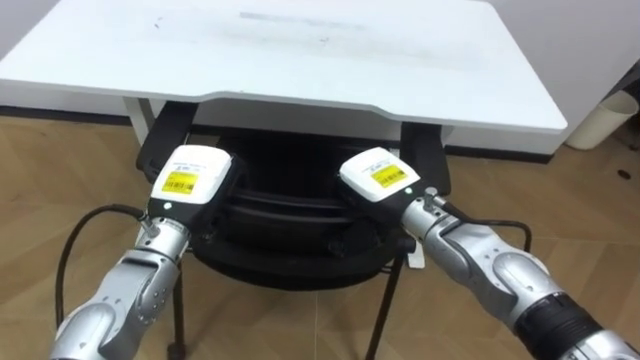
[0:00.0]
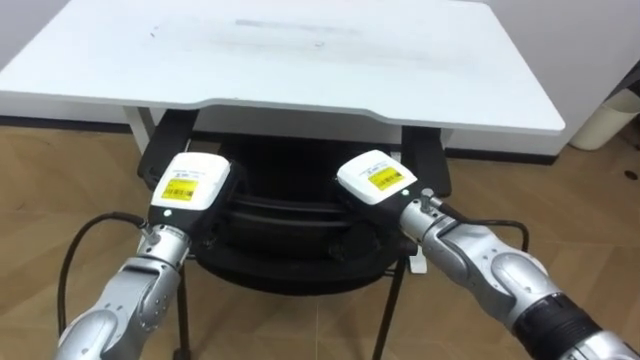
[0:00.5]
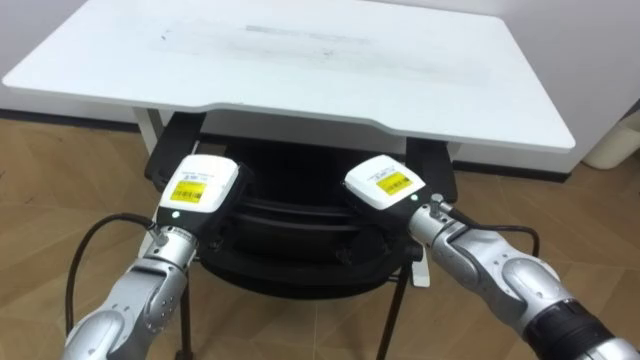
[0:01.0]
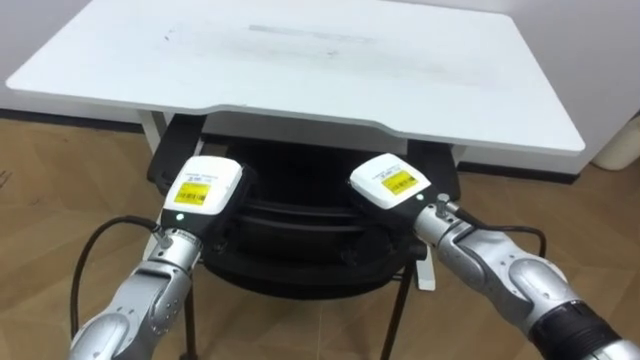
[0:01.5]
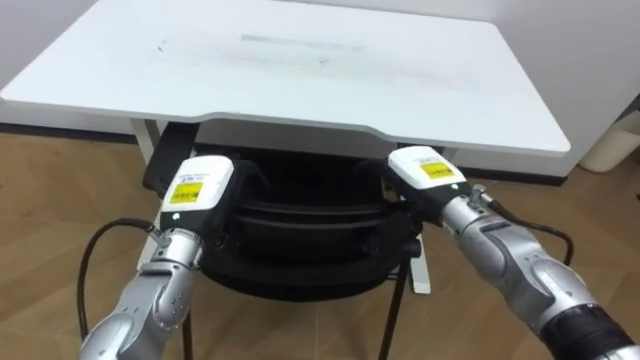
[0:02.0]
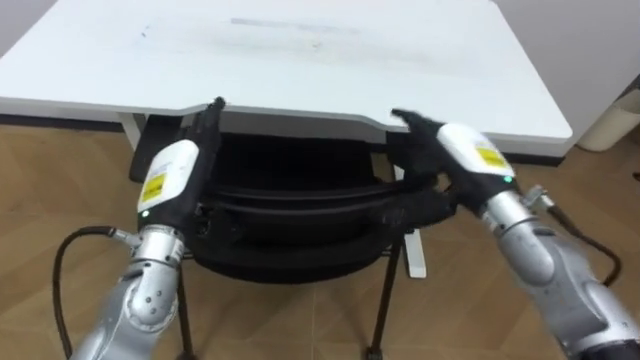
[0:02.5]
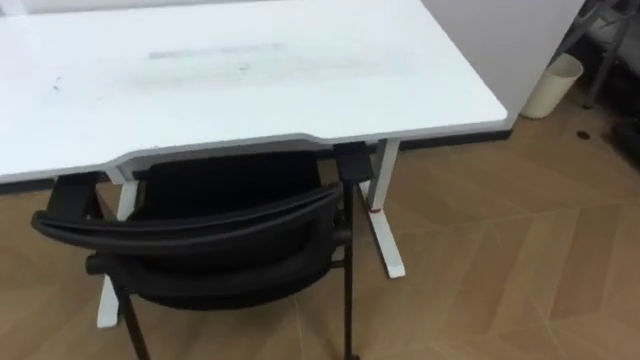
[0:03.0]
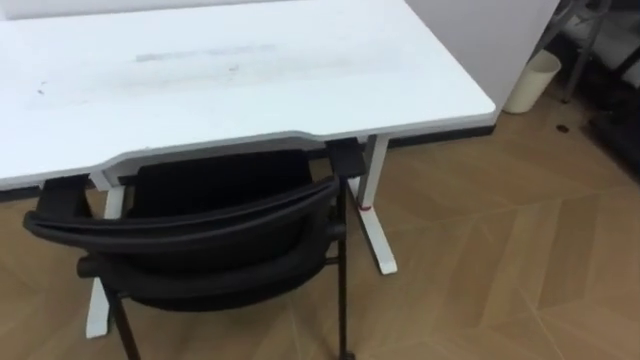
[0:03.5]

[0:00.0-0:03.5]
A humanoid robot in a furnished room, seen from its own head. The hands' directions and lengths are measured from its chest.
Task of the whole recording: Push the chair under the table.
0:00.0 to 0:02.0: The left hand opens. The right hand travels to the right by roughly 5 cm, and opens its fingers.

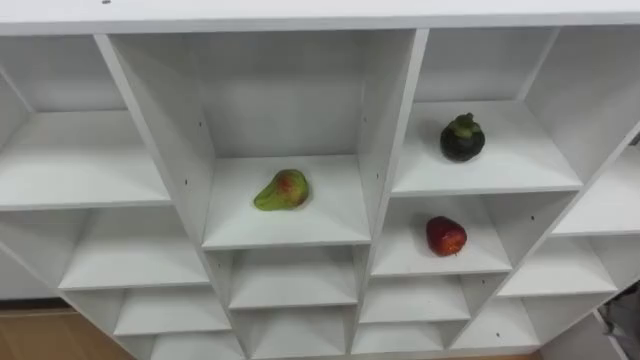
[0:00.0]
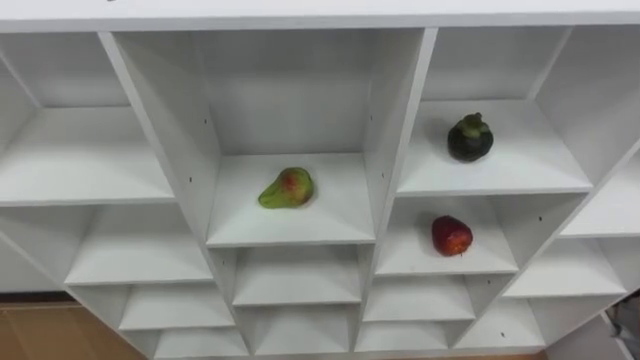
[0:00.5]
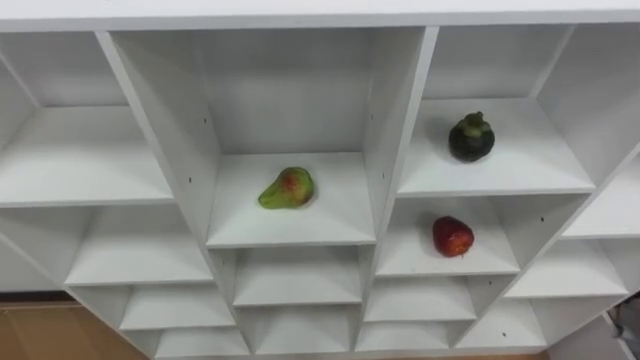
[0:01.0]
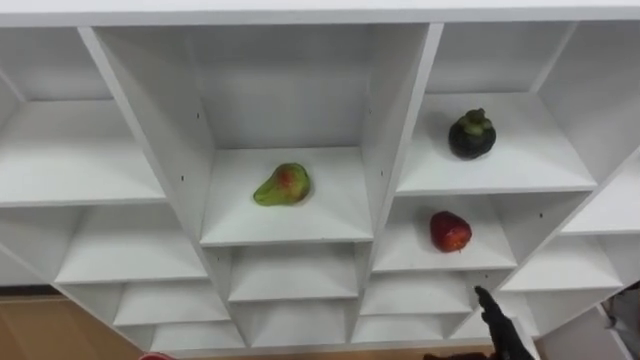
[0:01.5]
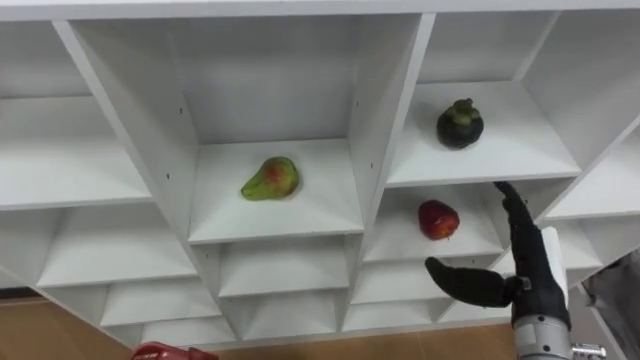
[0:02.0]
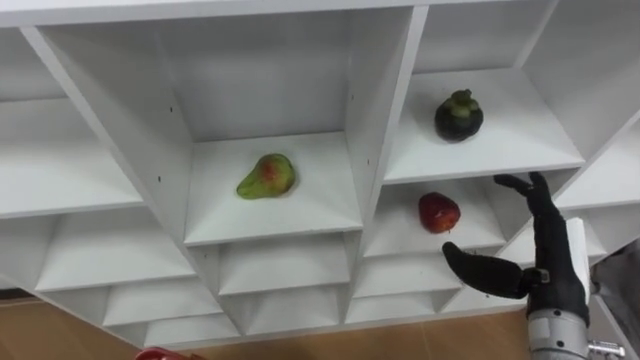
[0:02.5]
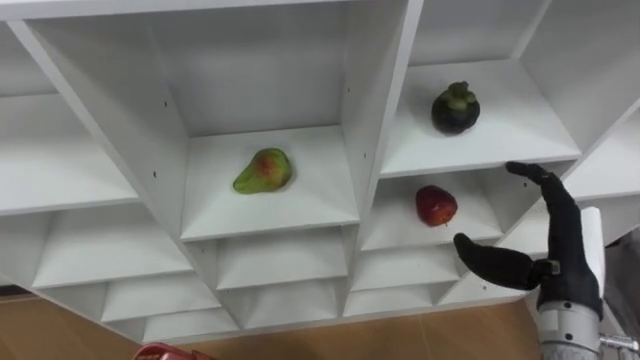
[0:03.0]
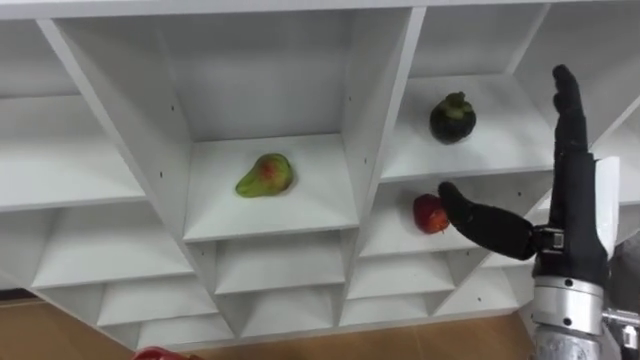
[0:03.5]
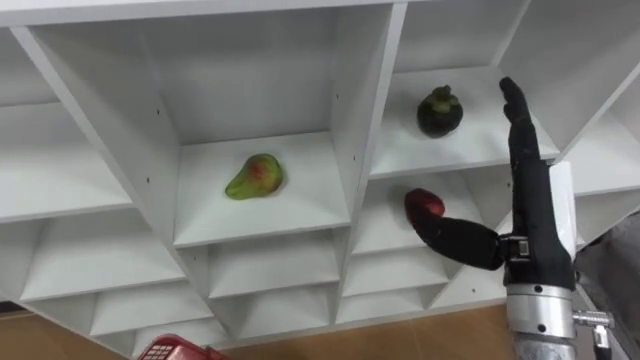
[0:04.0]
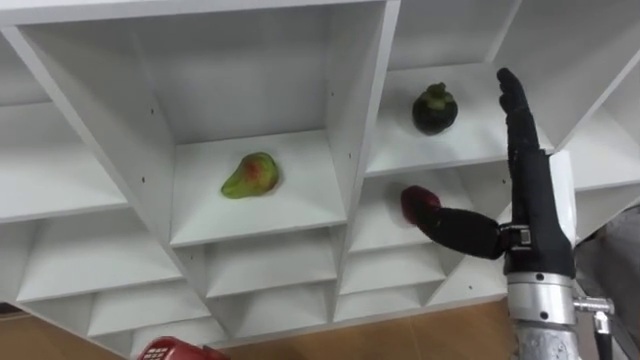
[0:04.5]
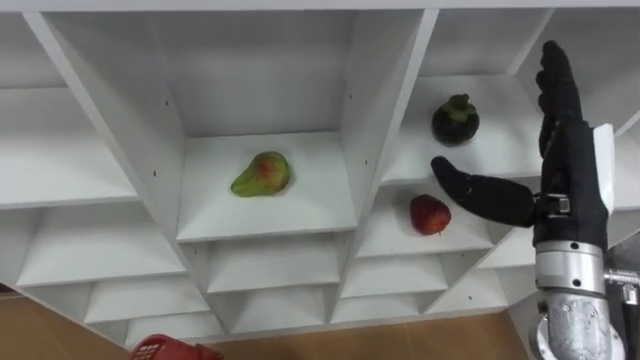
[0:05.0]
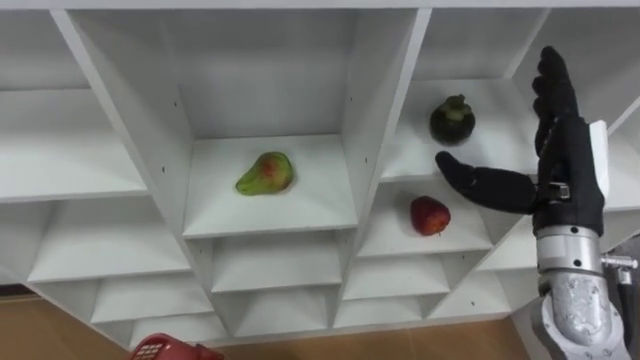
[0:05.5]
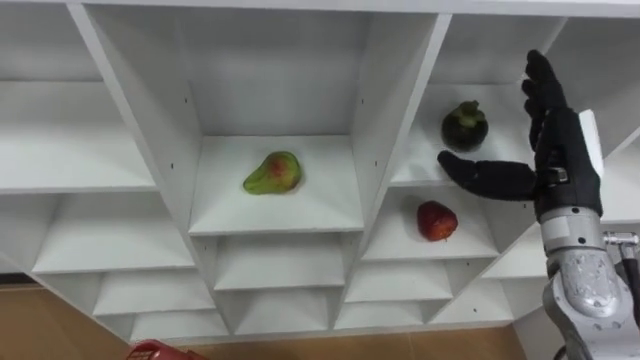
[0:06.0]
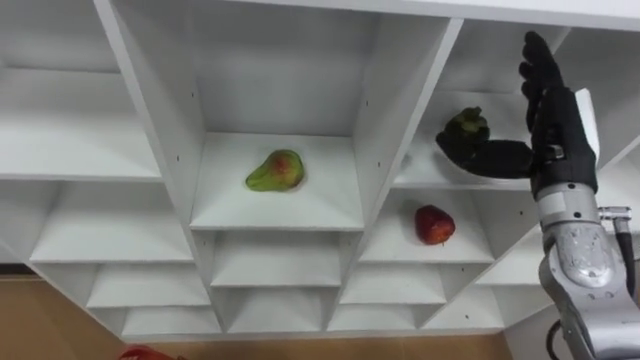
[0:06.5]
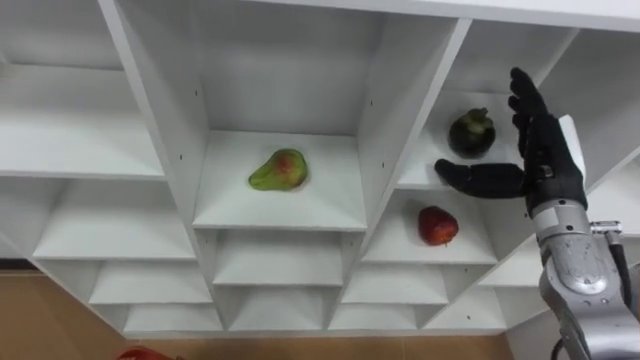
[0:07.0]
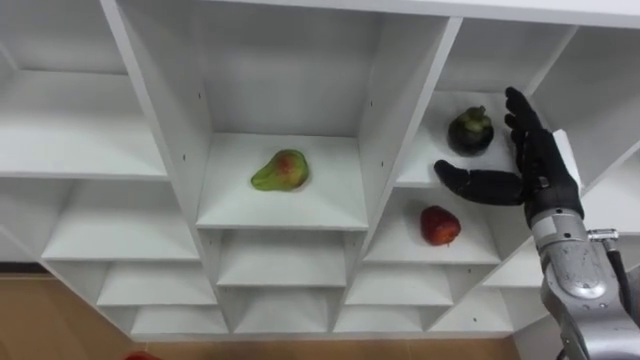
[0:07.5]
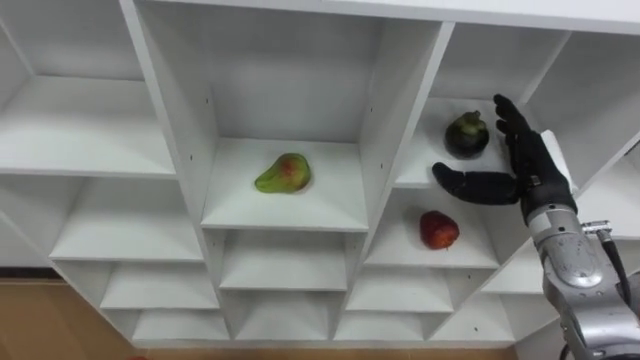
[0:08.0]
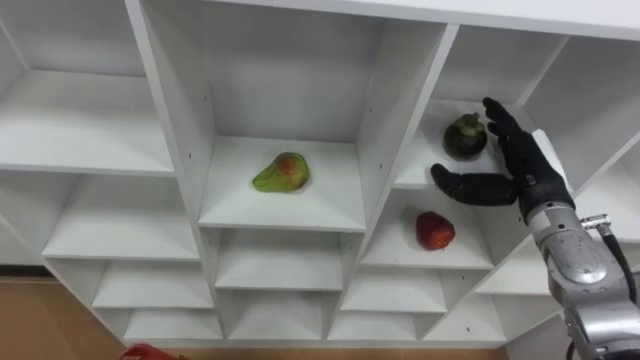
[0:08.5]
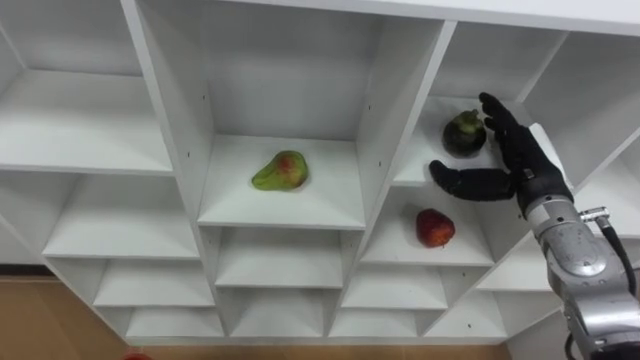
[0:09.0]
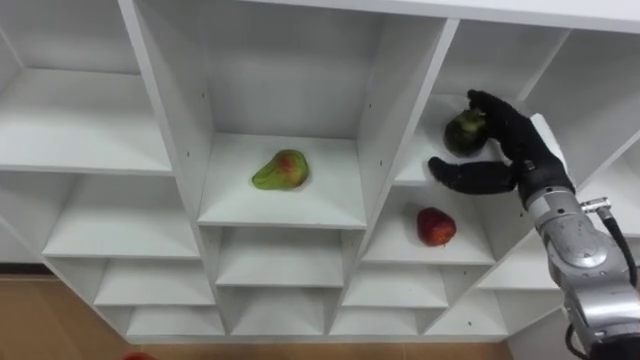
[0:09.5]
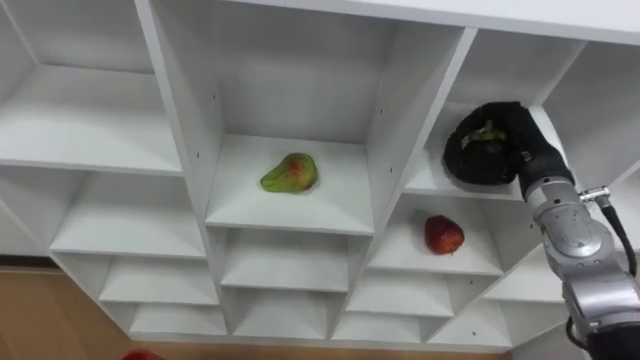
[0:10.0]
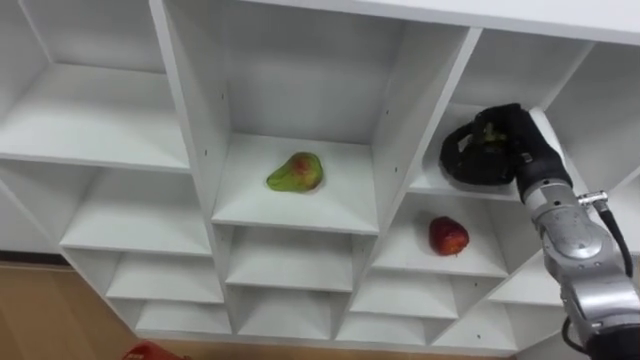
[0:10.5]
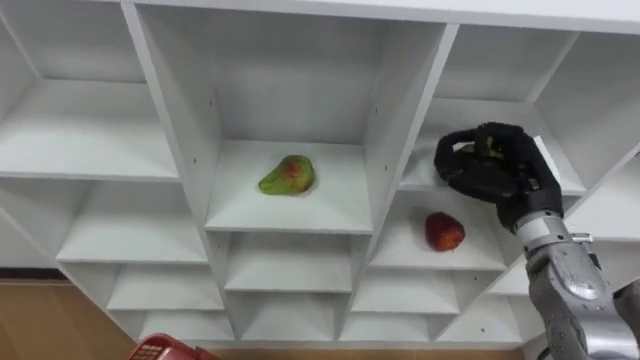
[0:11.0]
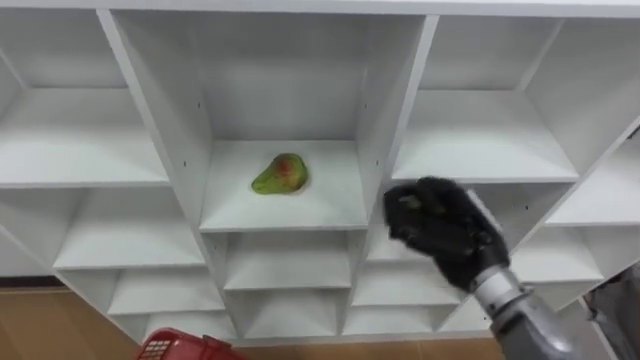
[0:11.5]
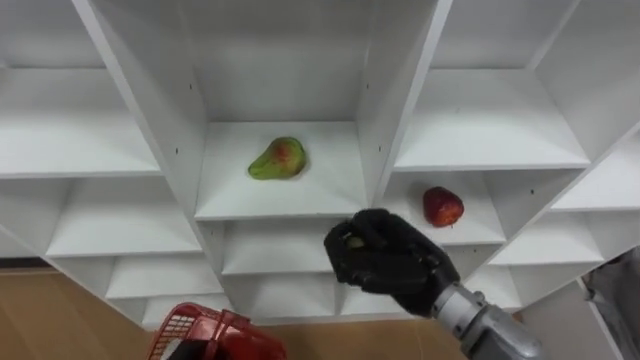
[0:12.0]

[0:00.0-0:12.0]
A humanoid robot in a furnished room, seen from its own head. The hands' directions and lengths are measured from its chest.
Task of the whole recording: Hold the basket and collect the fruits from 3 different cells of the closet into it.
0:02.0 to 0:04.0: The right hand heads upward, covering approximately 10 cm.
0:04.0 to 0:06.0: The right hand goes approximately 10 cm forward and to the right.
0:06.0 to 0:08.0: The right hand travels downward by about 5 cm.
0:08.0 to 0:10.0: The right hand closes its fingers.
0:10.0 to 0:12.0: The right hand shifts some 20 cm to the left and backward.

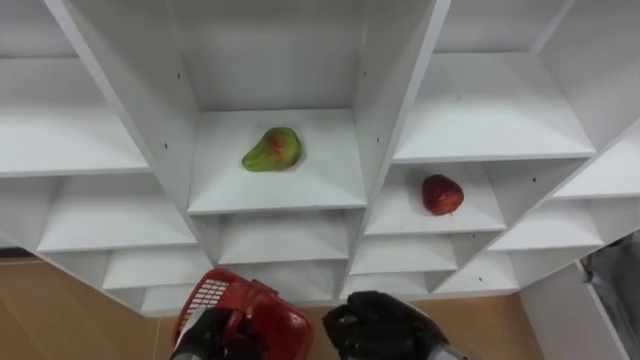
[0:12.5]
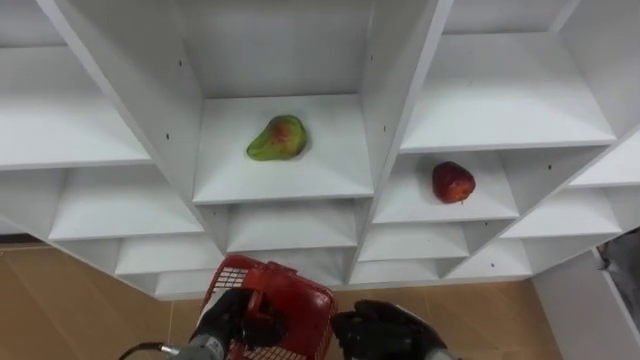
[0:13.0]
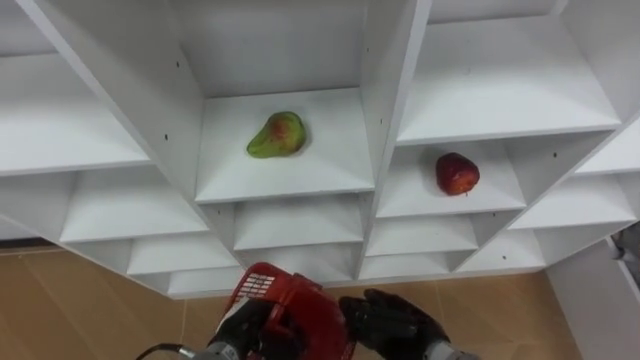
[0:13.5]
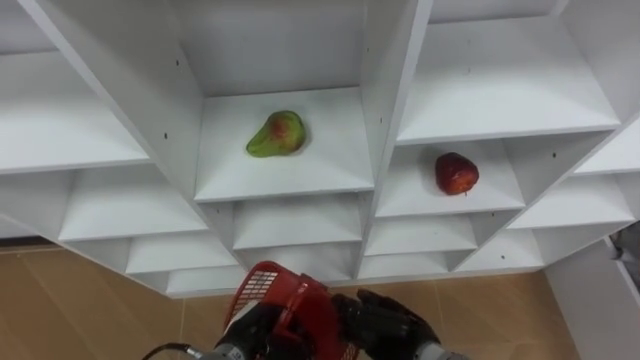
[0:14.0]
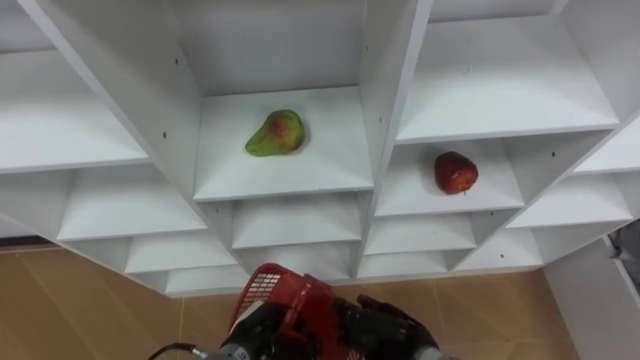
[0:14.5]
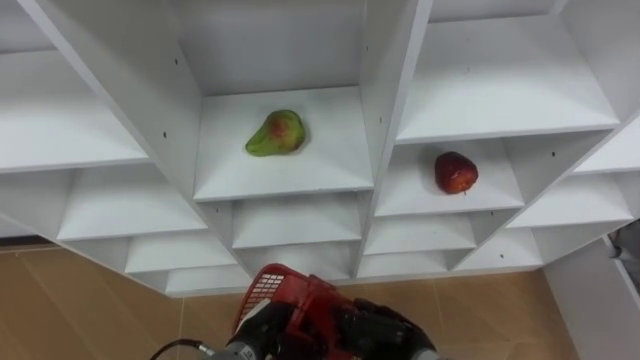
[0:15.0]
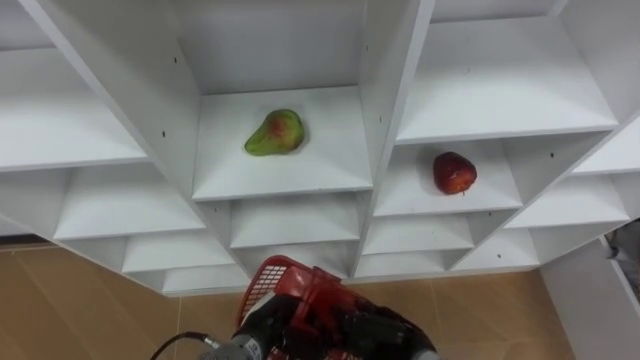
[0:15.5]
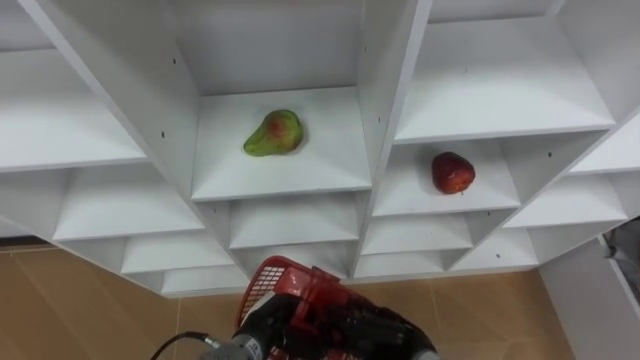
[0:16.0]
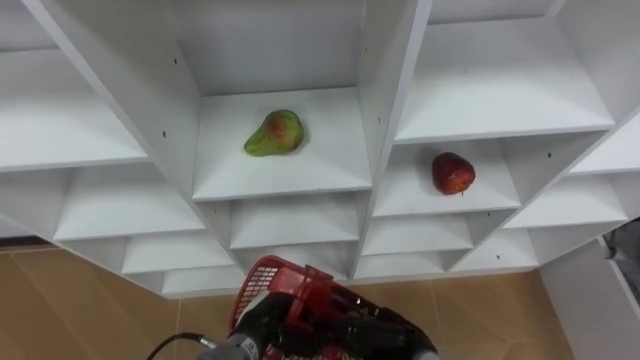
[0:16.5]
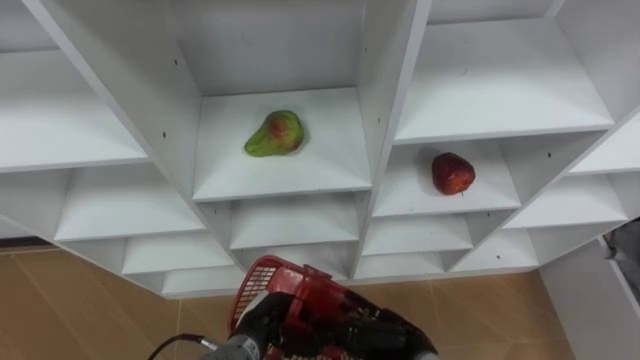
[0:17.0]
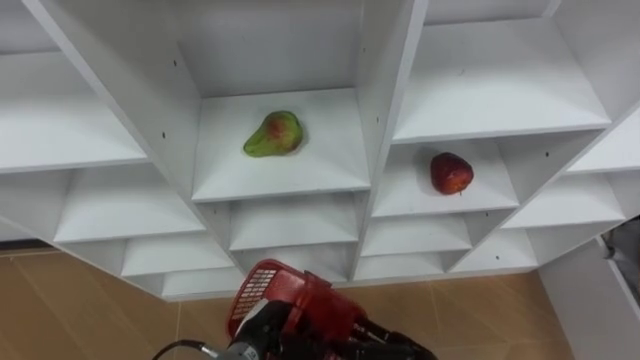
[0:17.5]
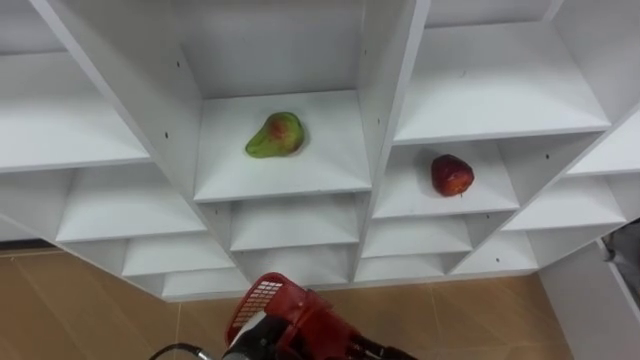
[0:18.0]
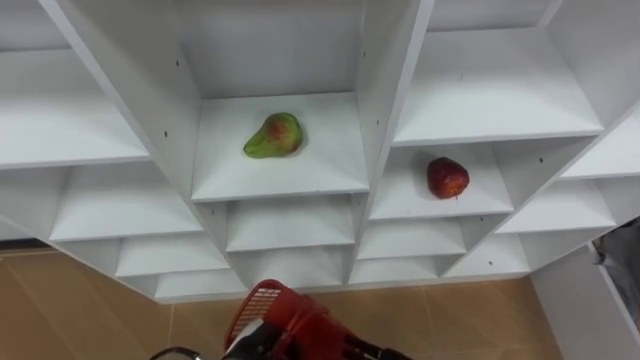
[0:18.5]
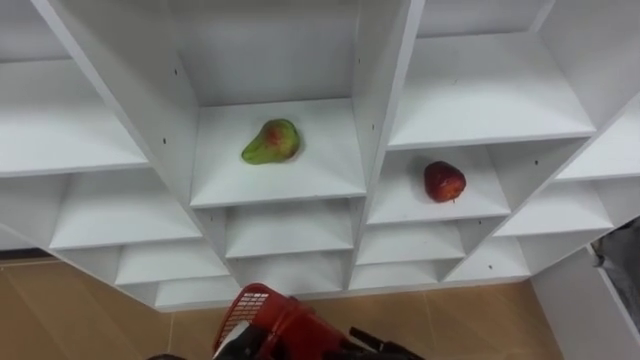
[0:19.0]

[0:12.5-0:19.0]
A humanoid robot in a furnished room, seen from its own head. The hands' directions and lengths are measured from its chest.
Task of the whole recording: Hold the basket and collect the fruits from 3 different cells of the closet into it.
0:12.5 to 0:14.5: The left hand is displaced to the right by some 10 cm. Meanwhile the right hand is displaced downward by some 5 cm.
0:14.5 to 0:17.0: The right hand opens.
0:17.0 to 0:19.0: The left hand ends up about 5 cm from where it was.
